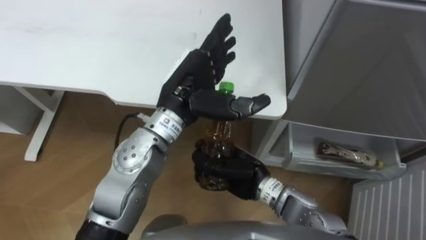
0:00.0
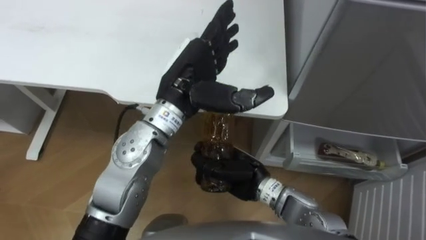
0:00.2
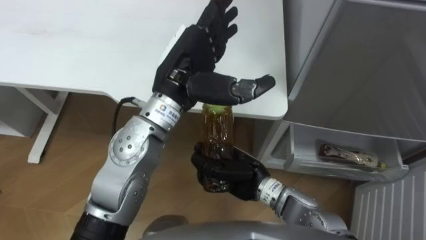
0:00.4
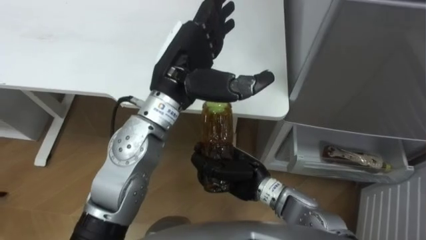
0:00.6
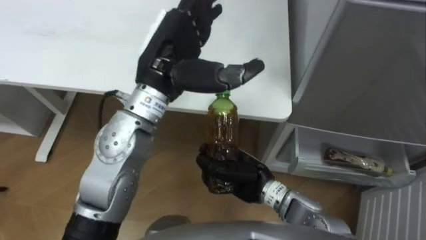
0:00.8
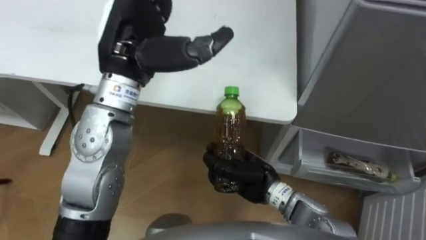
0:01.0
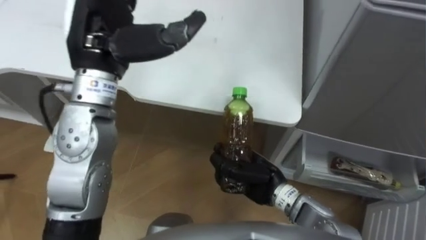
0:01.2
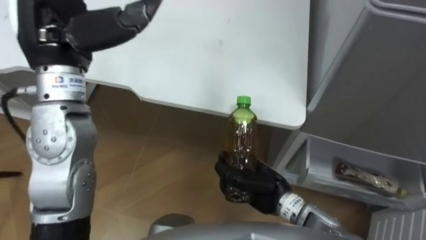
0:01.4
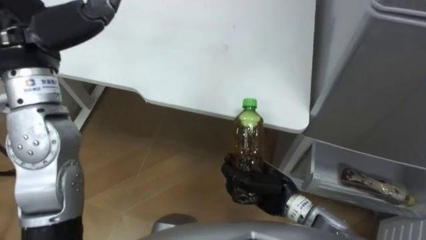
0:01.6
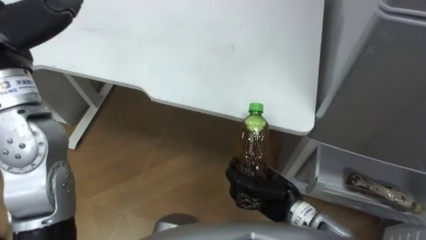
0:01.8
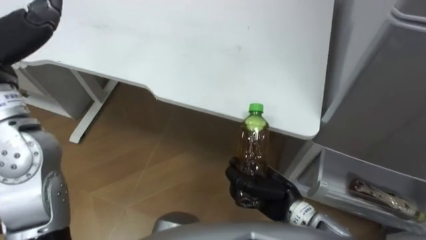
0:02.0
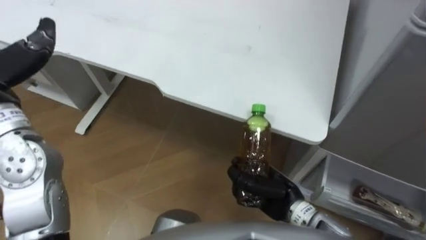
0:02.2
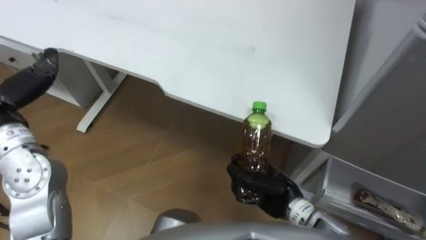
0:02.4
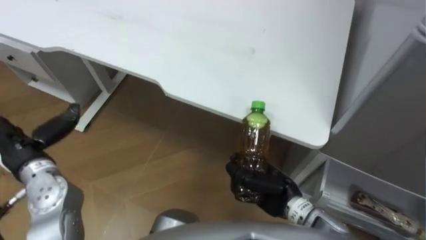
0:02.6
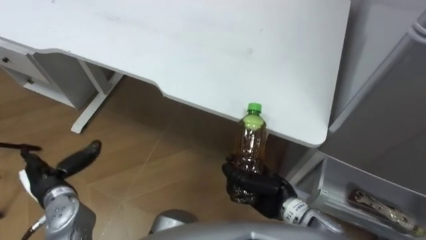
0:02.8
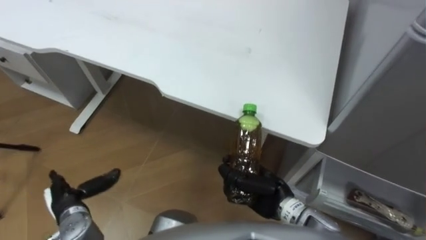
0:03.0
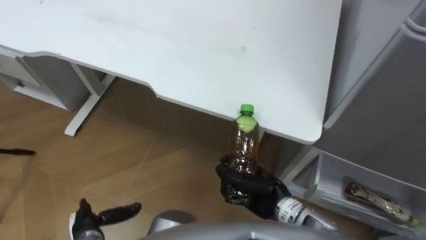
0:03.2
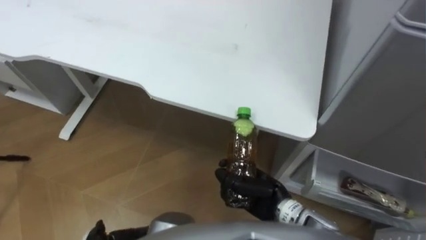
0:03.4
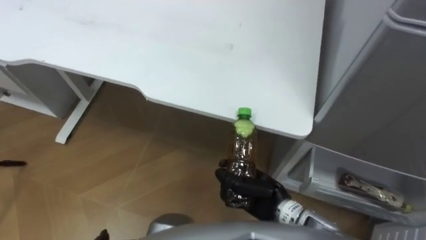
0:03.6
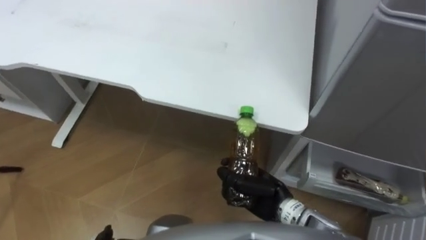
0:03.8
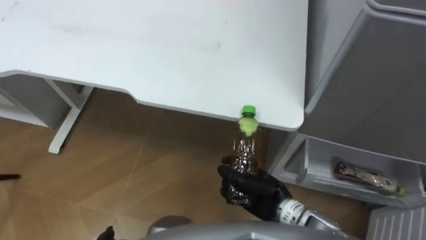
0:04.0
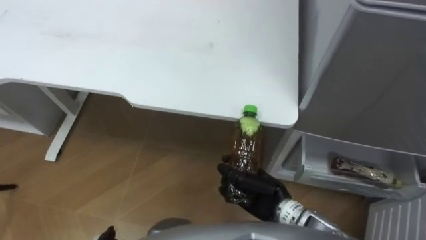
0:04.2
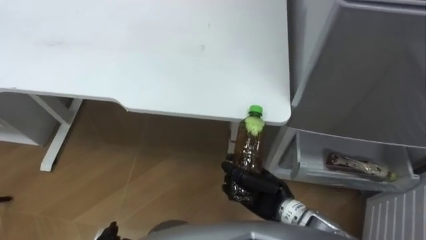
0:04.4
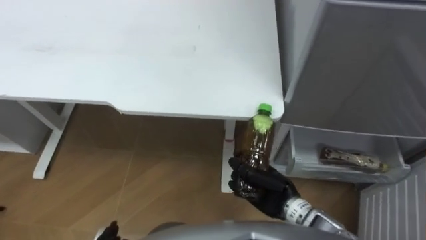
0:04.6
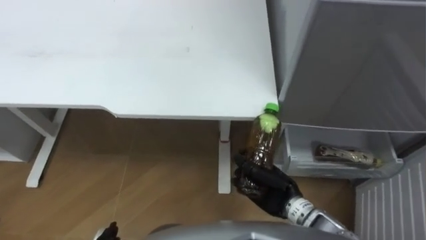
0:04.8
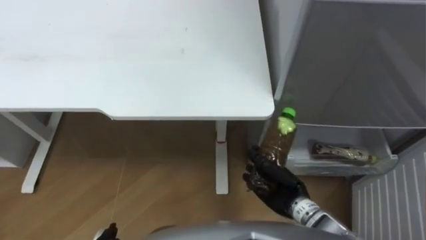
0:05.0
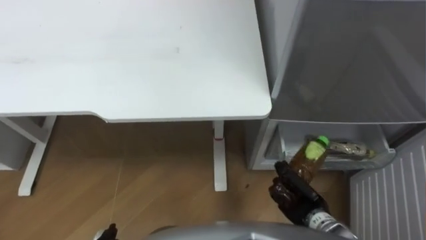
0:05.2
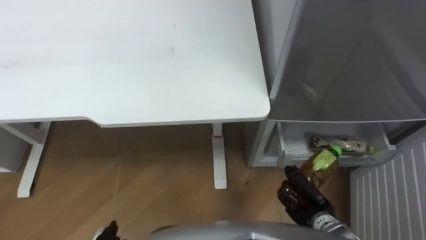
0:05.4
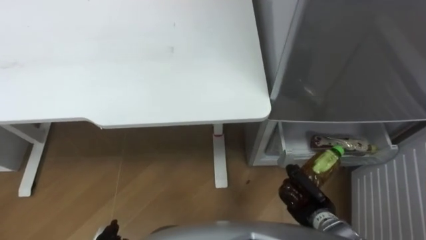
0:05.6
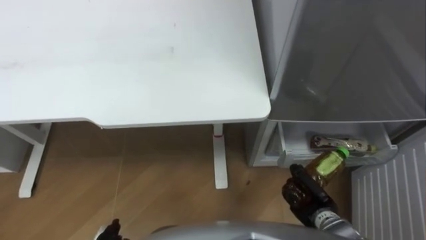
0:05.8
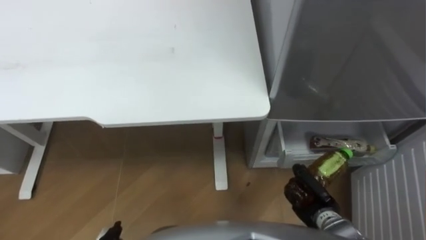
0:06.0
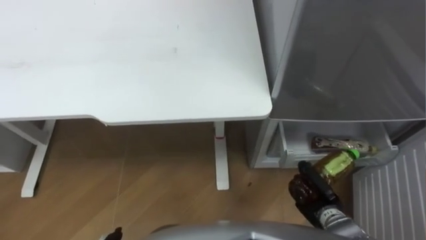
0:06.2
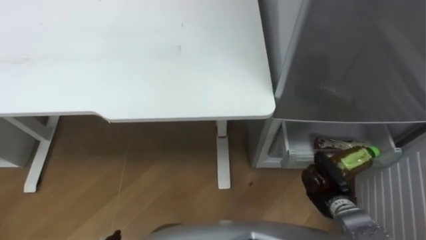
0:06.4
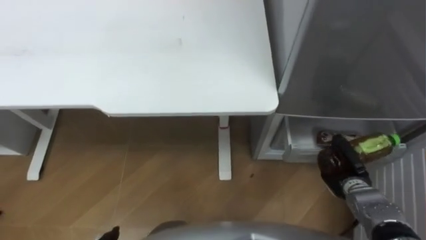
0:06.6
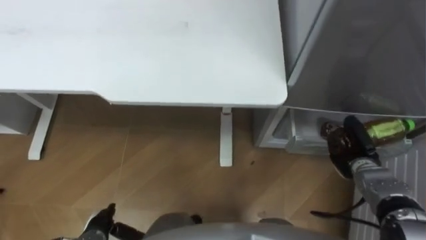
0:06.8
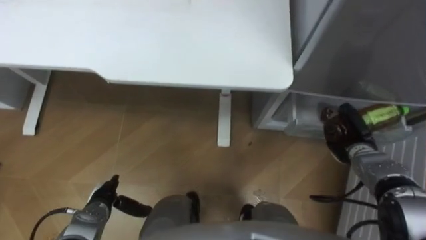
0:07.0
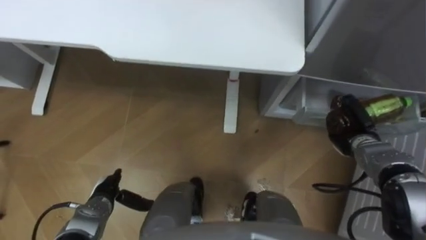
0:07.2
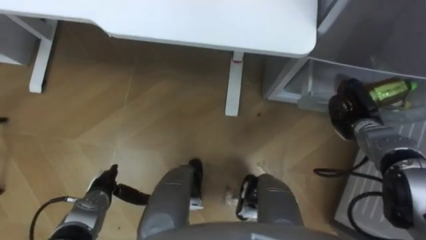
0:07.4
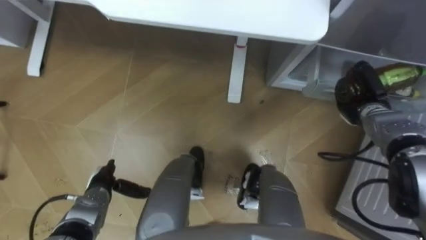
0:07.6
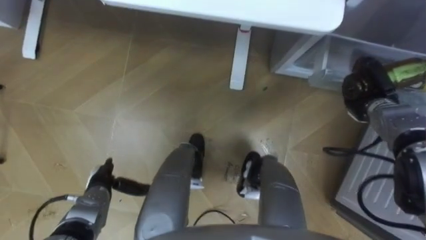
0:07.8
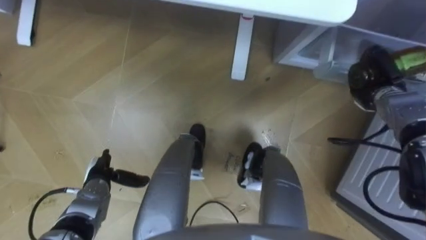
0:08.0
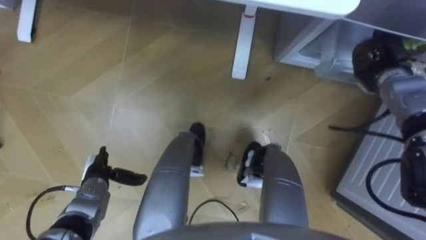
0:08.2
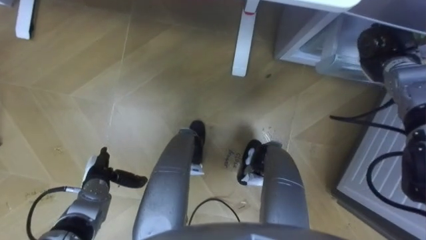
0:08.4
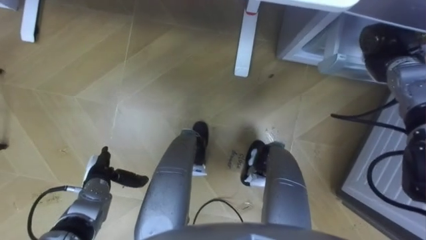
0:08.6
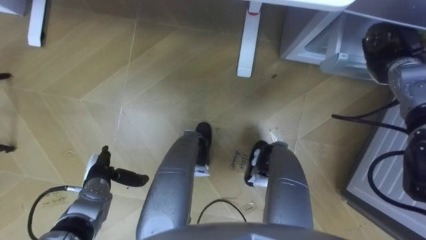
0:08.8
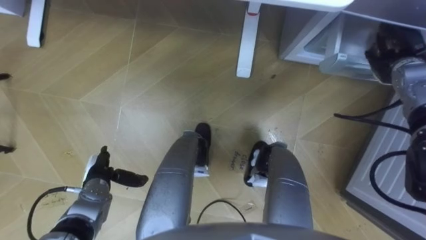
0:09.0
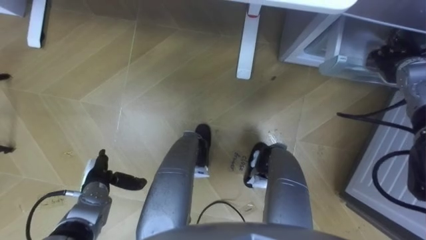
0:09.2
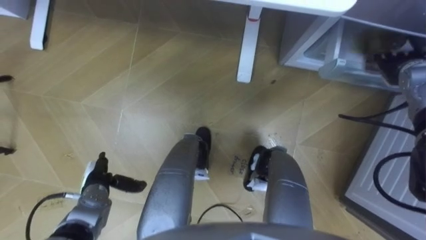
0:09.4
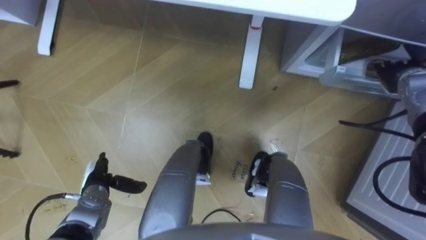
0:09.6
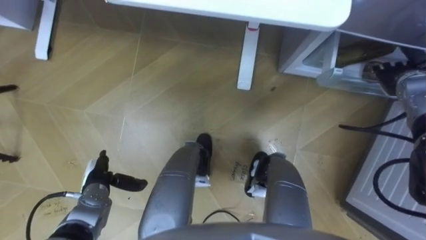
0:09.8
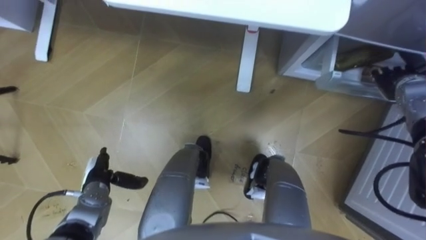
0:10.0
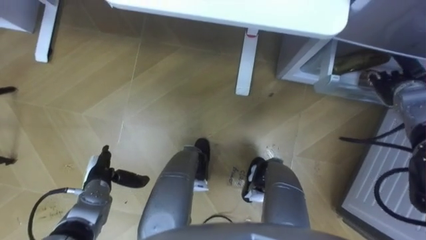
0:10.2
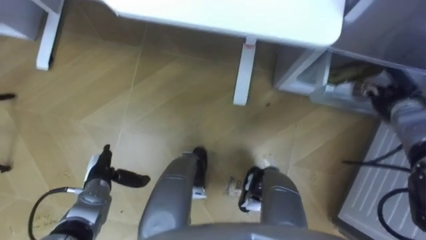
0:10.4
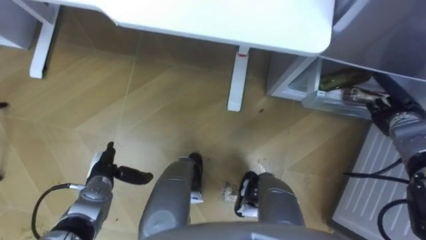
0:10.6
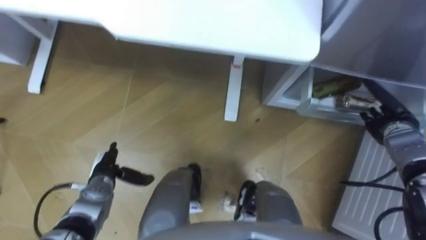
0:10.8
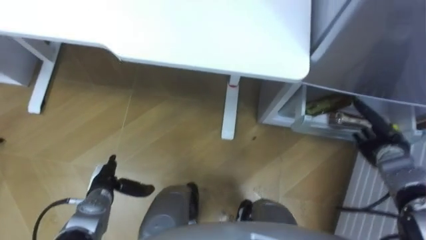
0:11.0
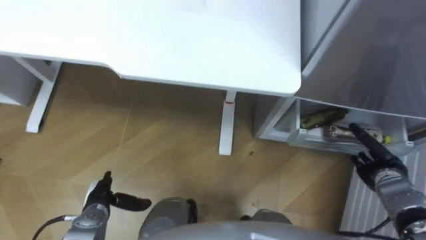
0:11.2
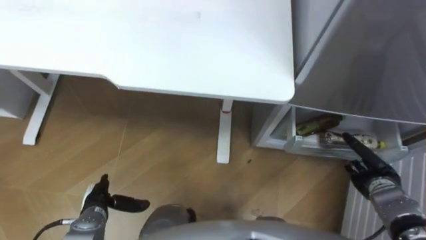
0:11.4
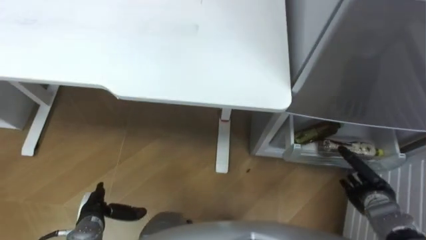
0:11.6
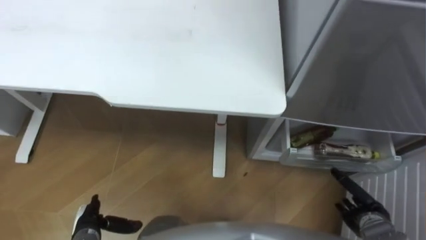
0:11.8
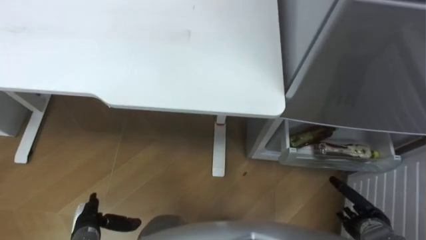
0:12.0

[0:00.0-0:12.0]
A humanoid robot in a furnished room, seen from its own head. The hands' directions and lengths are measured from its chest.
Task of the whole recording: Place the drink on the table on the bottom shelf of the refrigerator, then close the drawer and the refrigerator door.
0:00.0 to 0:01.6: The right hand goes roughly 5 cm to the right. The left hand goes approximately 20 cm to the left and upward.
0:04.4 to 0:06.0: The right hand heads to the right and downward, covering about 15 cm.
0:06.0 to 0:07.6: The right hand is displaced forward, upward and to the right by approximately 25 cm.
0:07.6 to 0:09.0: The right hand heads upward and forward, covering some 10 cm, and opens up.
0:09.0 to 0:10.4: The right hand heads backward and downward, covering roughly 10 cm.
0:10.4 to 0:12.0: The left hand moves backward, approximately 10 cm. Meanwhile the right hand moves backward and downward, some 25 cm.

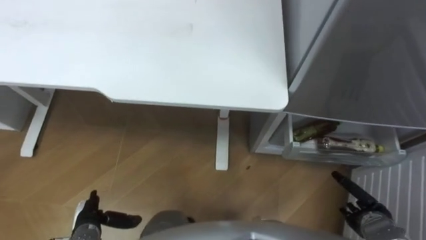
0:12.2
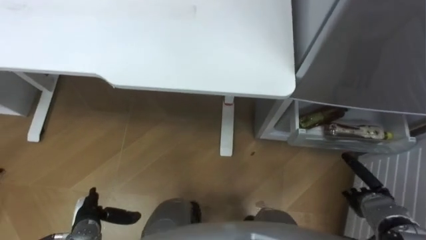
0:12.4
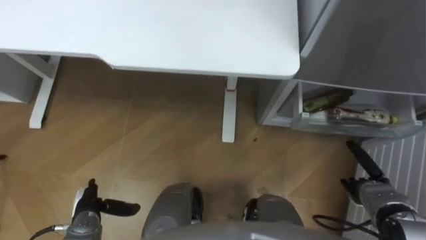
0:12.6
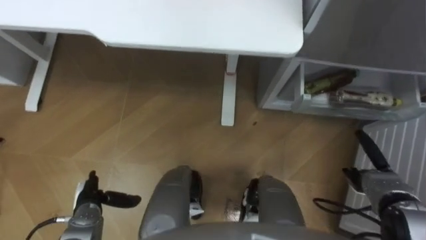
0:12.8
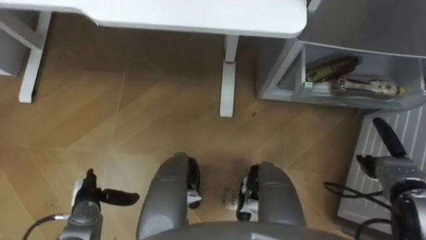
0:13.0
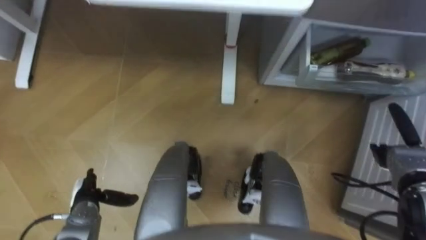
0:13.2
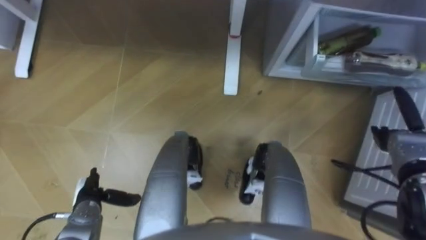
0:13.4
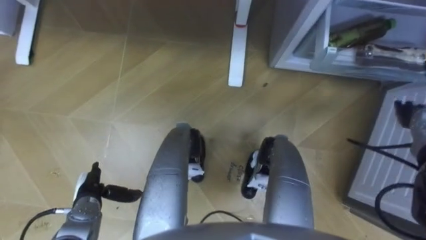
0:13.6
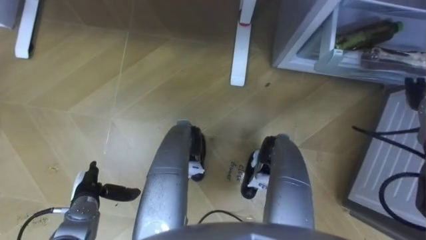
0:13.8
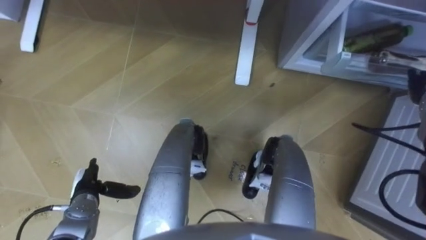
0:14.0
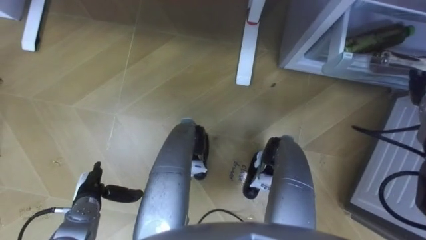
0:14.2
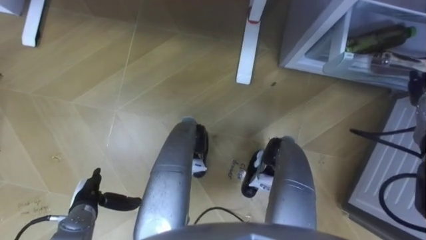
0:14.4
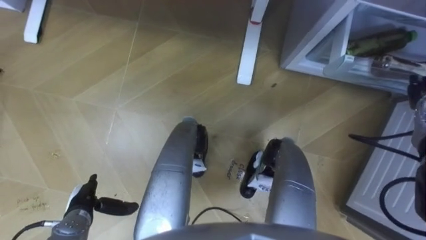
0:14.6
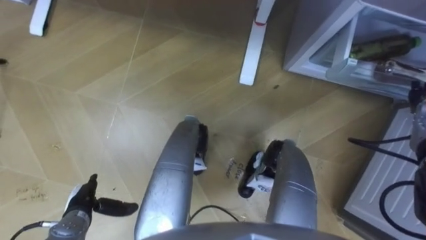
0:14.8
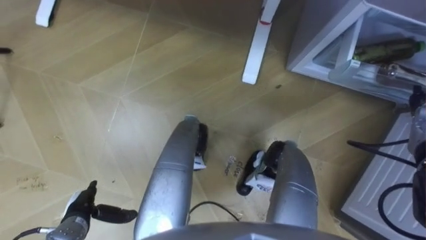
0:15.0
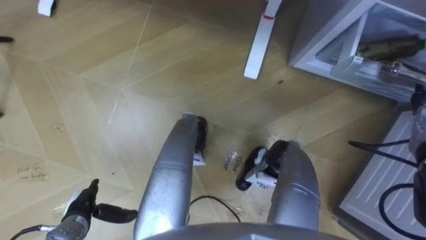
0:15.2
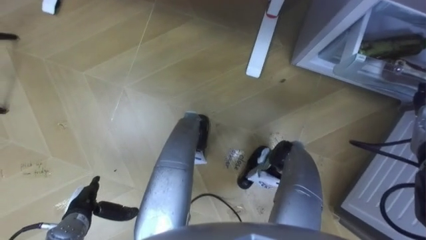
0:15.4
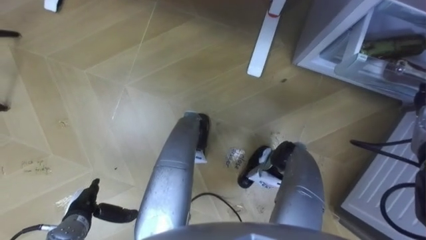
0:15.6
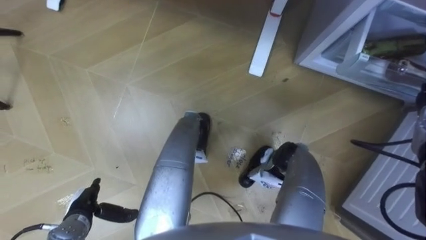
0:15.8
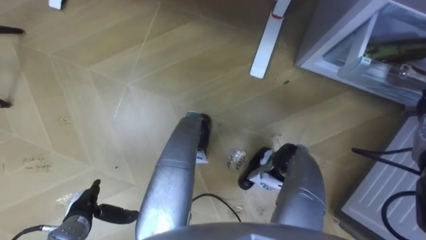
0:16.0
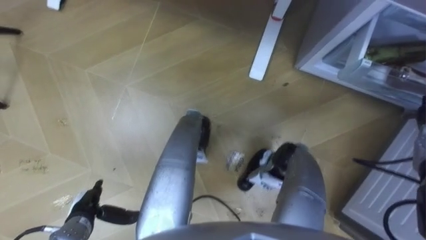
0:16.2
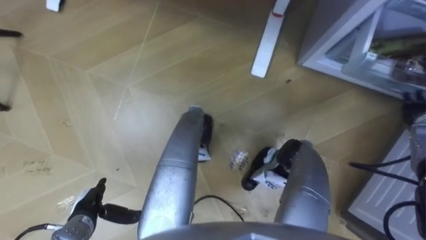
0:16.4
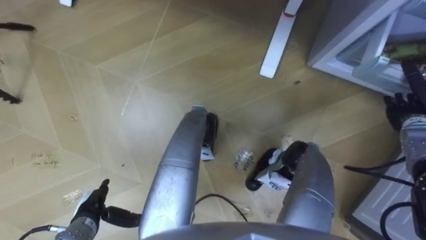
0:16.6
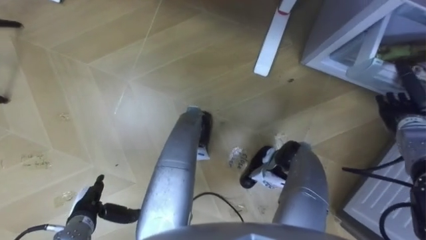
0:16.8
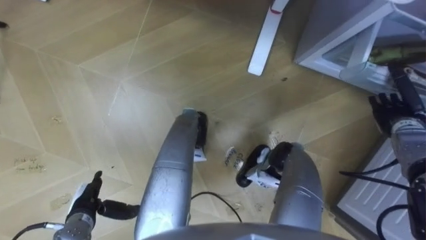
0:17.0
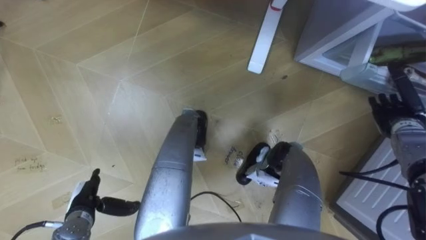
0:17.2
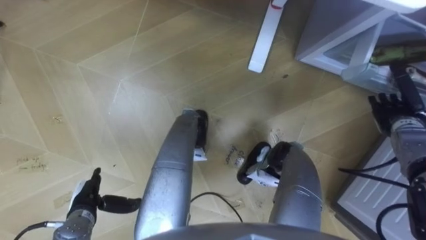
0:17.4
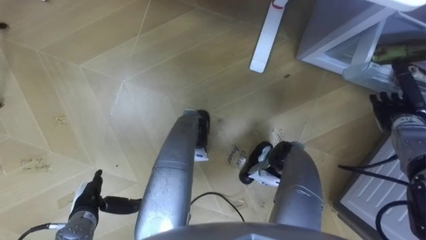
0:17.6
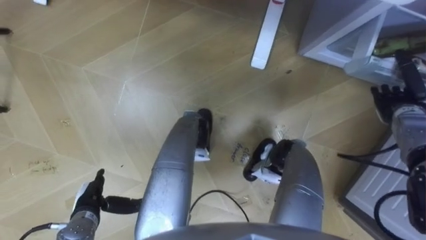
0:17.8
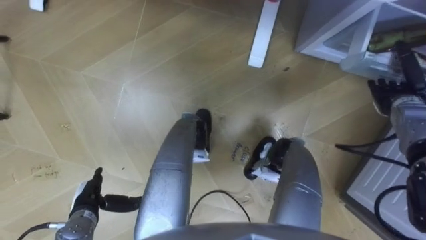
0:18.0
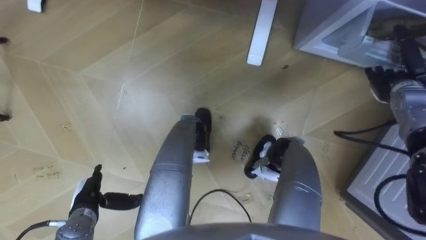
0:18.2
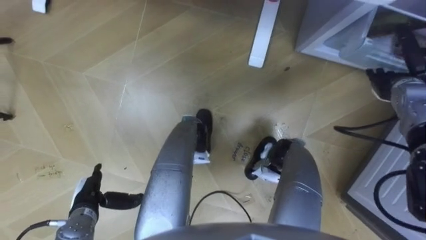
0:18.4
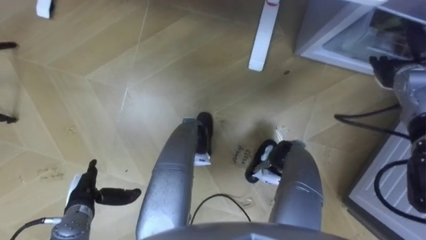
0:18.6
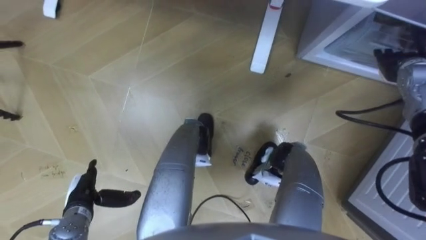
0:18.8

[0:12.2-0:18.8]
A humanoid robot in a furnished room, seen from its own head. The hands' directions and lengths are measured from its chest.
Task of the whole recording: Place the drink on the table on the bottom shelf of the refrigerator, then close the drawer and the refrigerator door.
0:12.2 to 0:13.8: The left hand moves forward, some 5 cm.
0:17.2 to 0:18.8: The right hand goes some 10 cm upward and forward.
